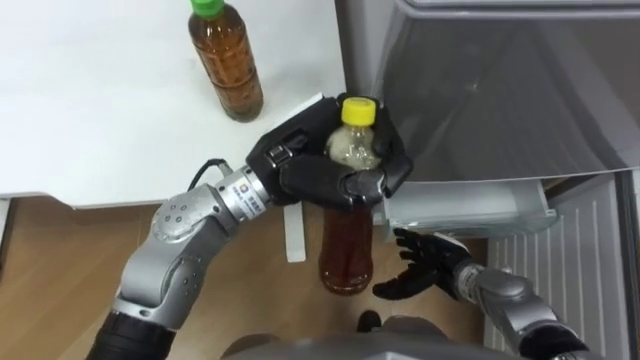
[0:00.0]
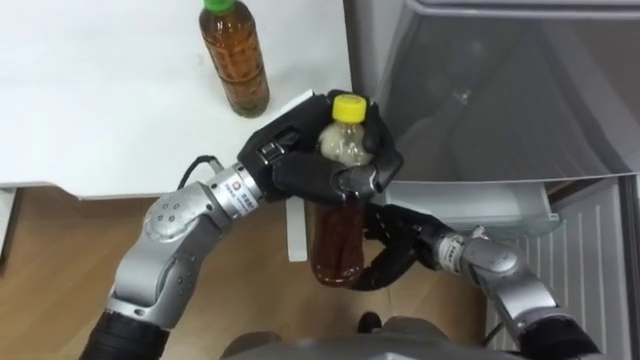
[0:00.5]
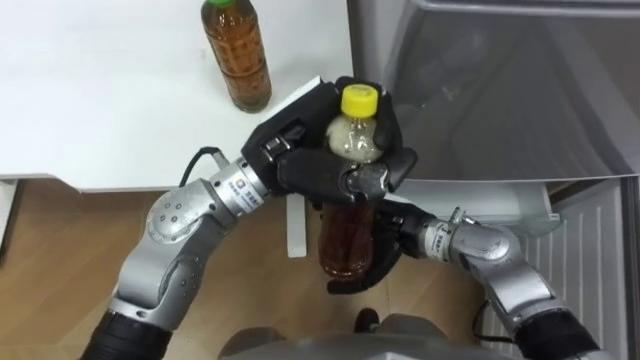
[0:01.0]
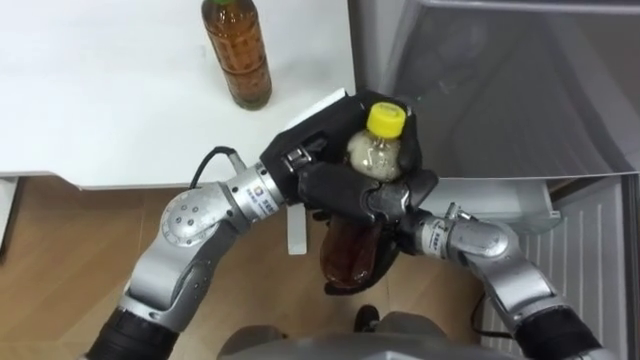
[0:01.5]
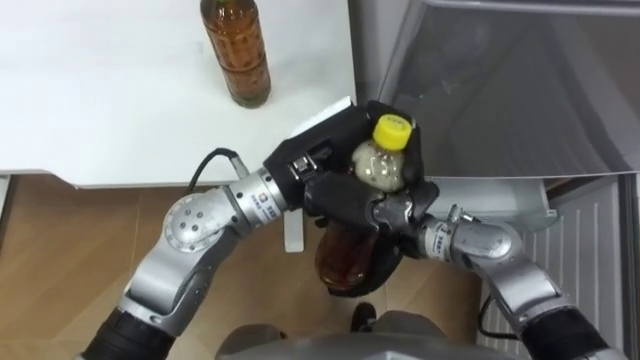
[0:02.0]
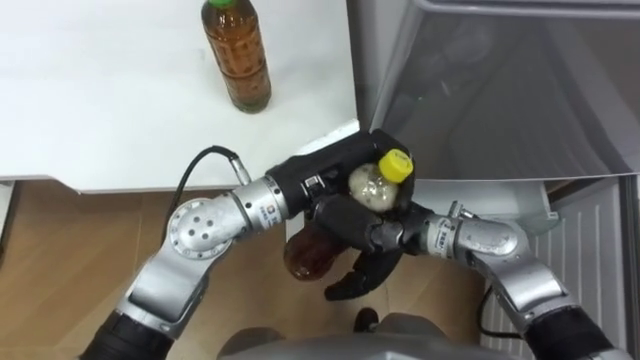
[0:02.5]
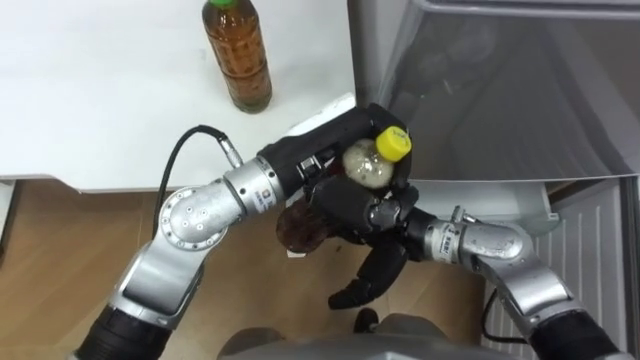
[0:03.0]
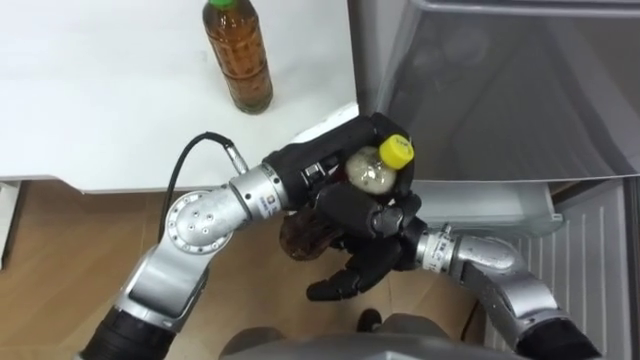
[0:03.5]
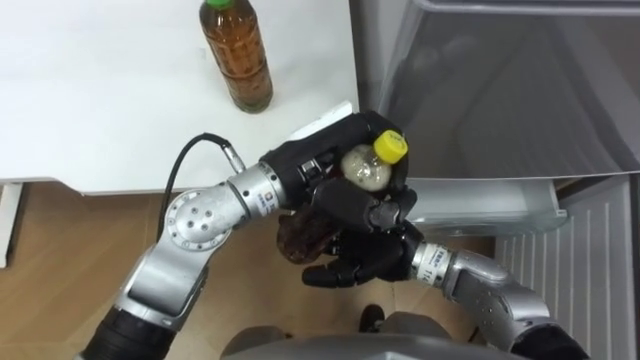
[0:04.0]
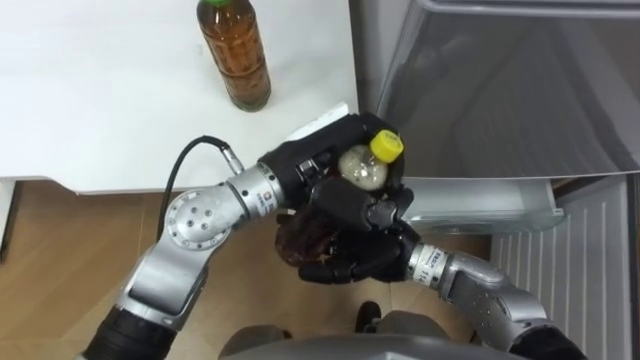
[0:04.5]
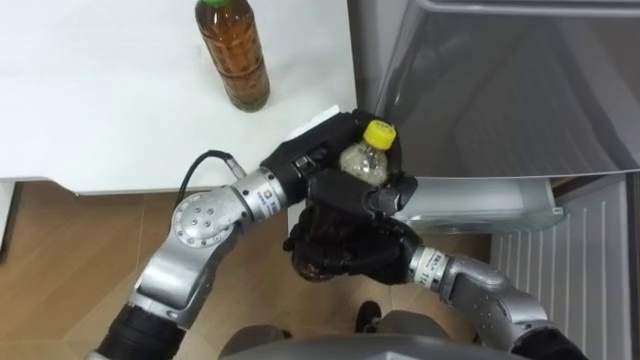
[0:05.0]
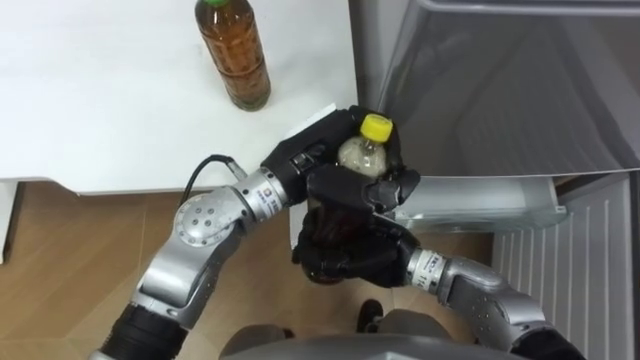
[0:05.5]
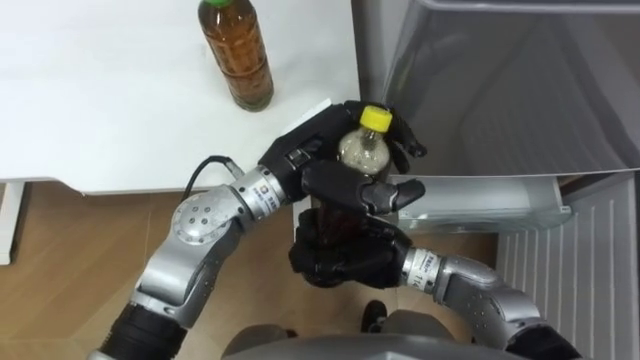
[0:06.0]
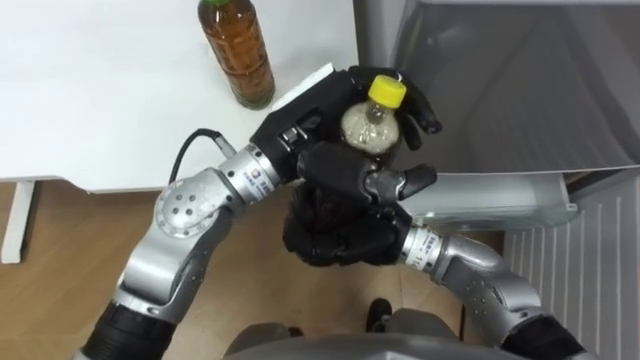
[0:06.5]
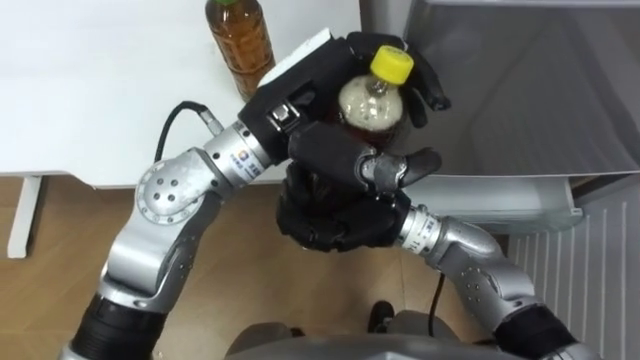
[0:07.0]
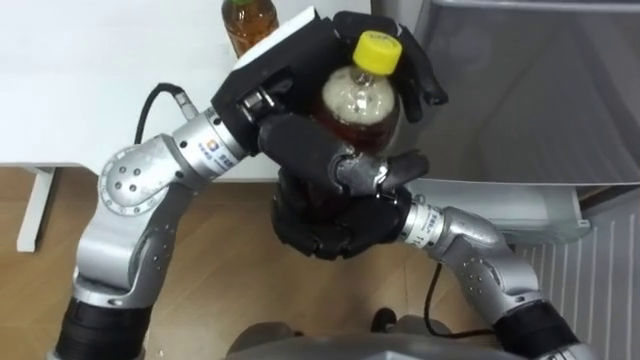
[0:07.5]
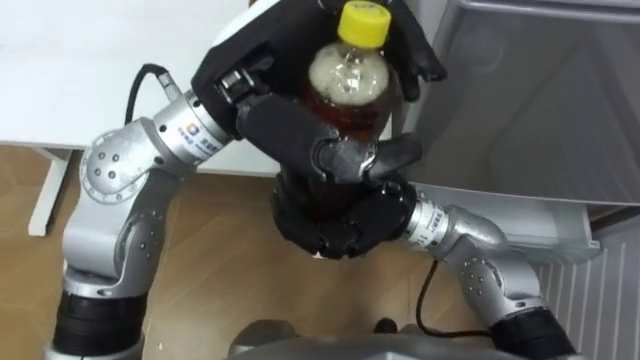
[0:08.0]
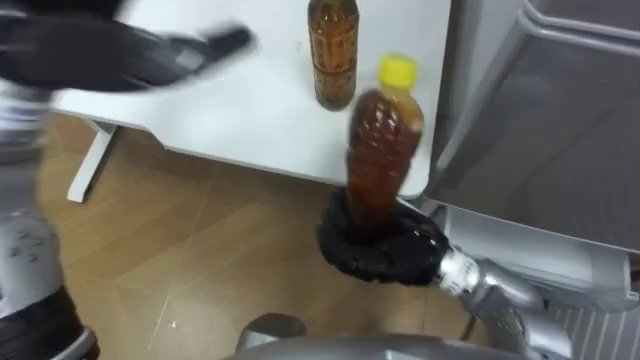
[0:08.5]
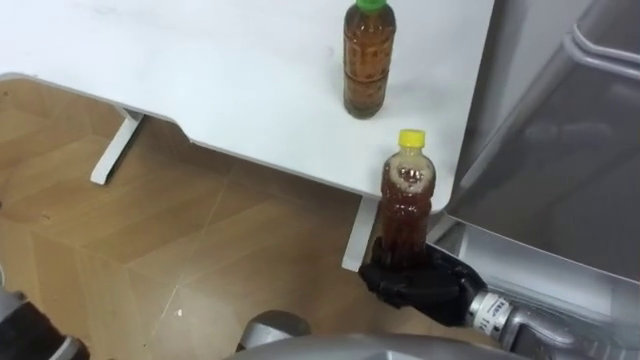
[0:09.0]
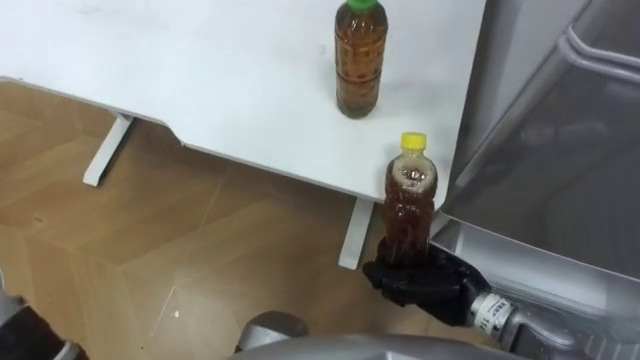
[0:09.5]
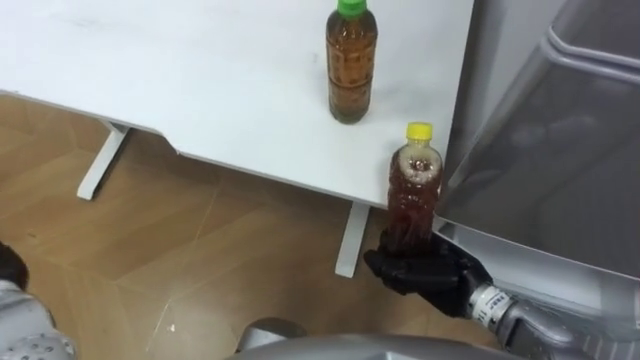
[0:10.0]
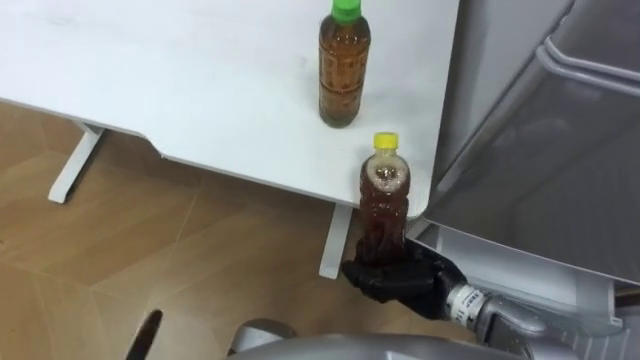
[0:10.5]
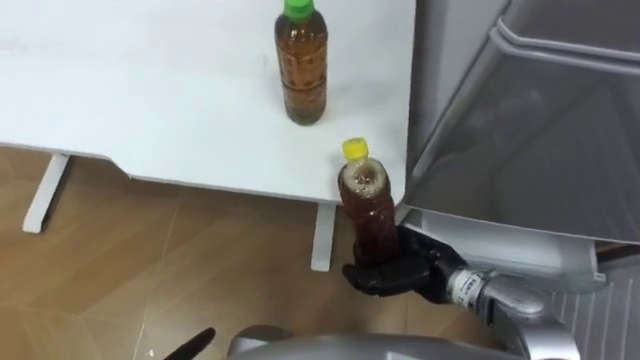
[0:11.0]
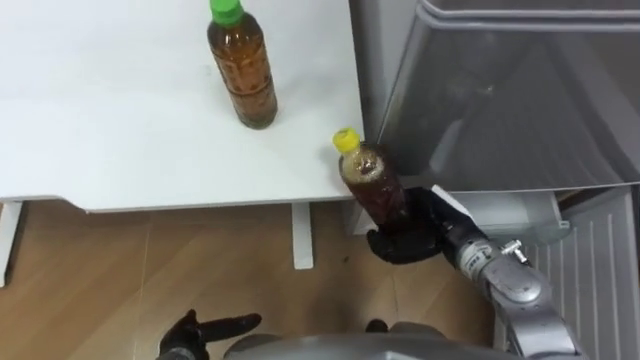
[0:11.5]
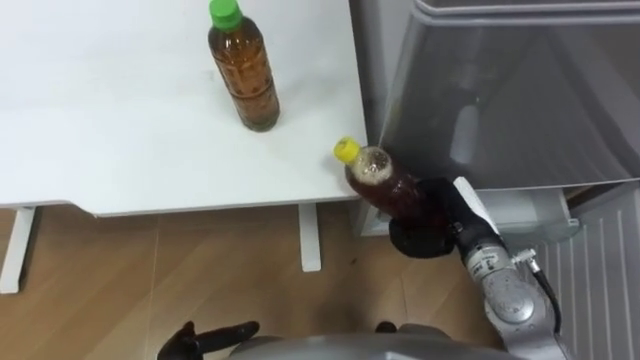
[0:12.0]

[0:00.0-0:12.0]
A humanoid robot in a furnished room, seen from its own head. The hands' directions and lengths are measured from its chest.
Task of the whole recording: Place the drink on the table on the bottom shelf of the refrigerator, then close the drawer and the refrigerator door.
0:00.0 to 0:02.0: The right hand moves upward and to the left, approximately 15 cm.
0:04.0 to 0:06.0: The right hand closes its fingers.
0:06.0 to 0:08.0: Both hands travel together upward, about 10 cm.
0:08.0 to 0:10.0: The right hand shifts about 20 cm downward and to the right.
0:10.0 to 0:12.0: The right hand goes some 5 cm forward.

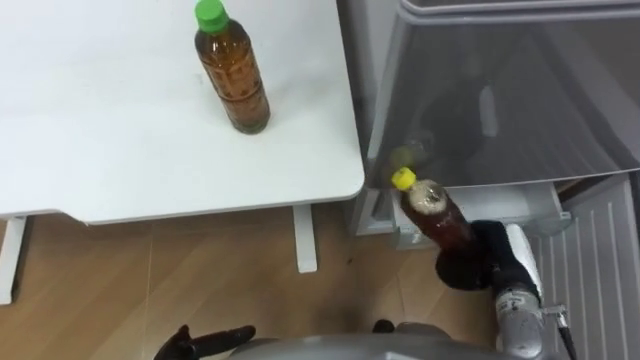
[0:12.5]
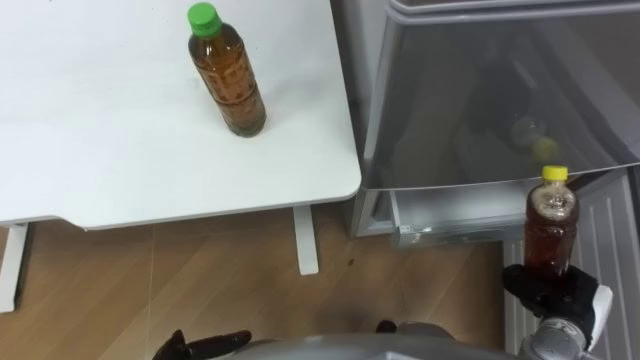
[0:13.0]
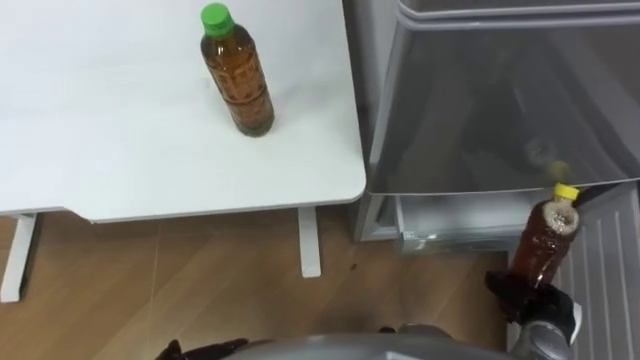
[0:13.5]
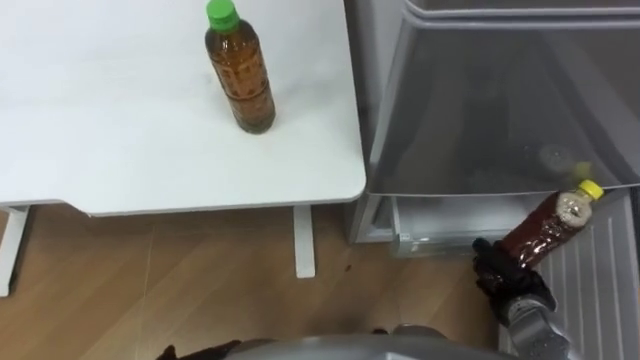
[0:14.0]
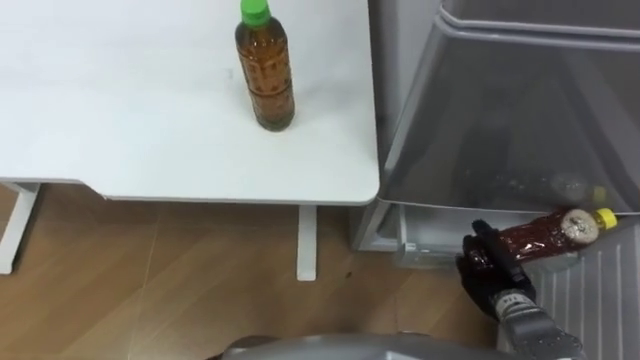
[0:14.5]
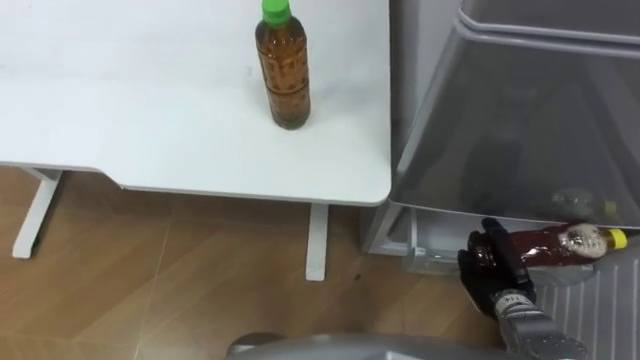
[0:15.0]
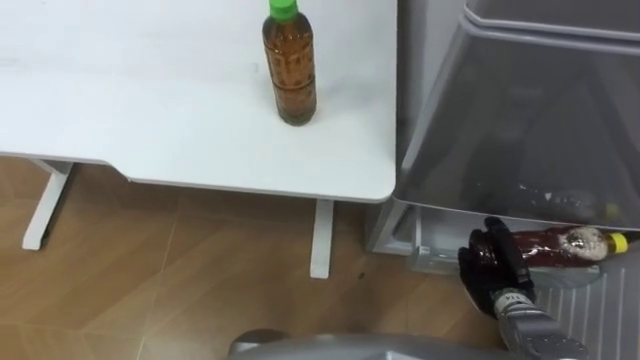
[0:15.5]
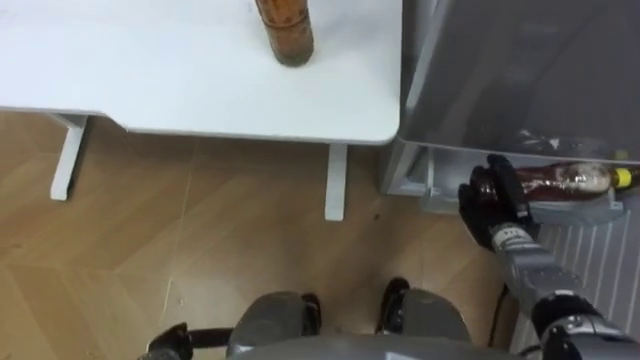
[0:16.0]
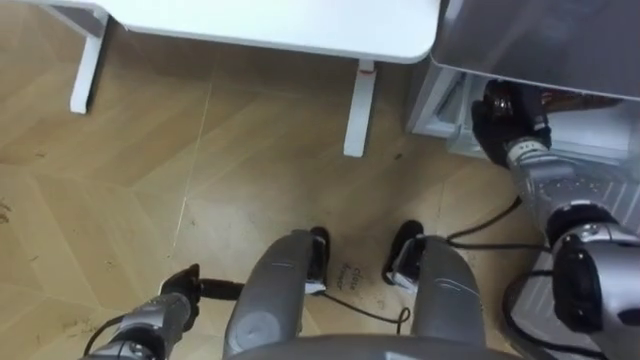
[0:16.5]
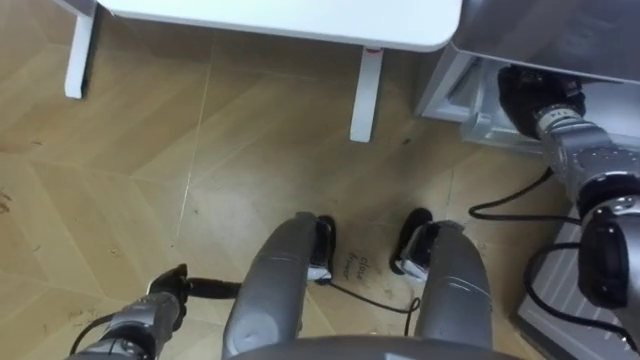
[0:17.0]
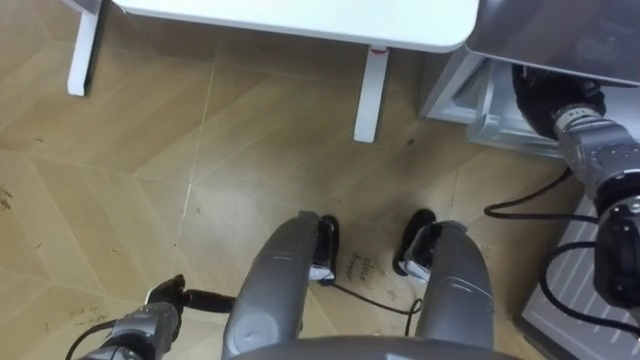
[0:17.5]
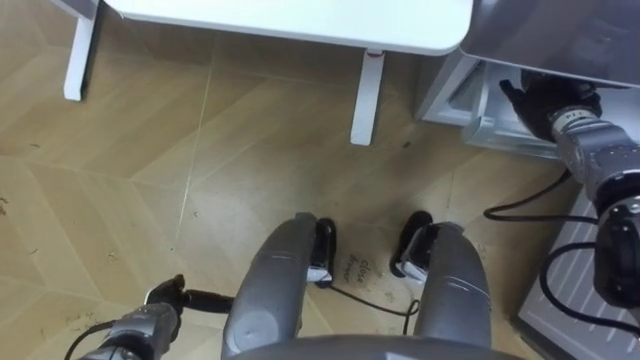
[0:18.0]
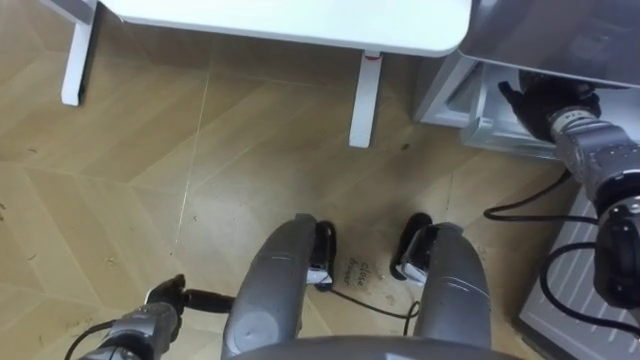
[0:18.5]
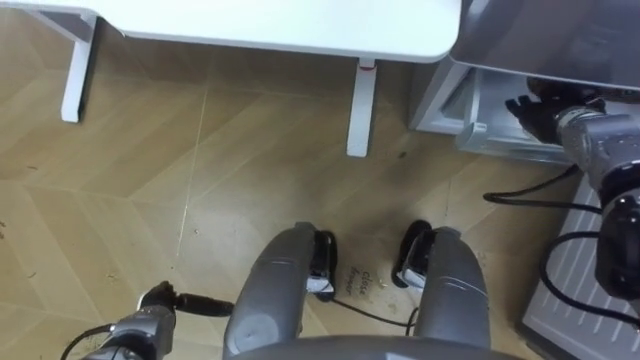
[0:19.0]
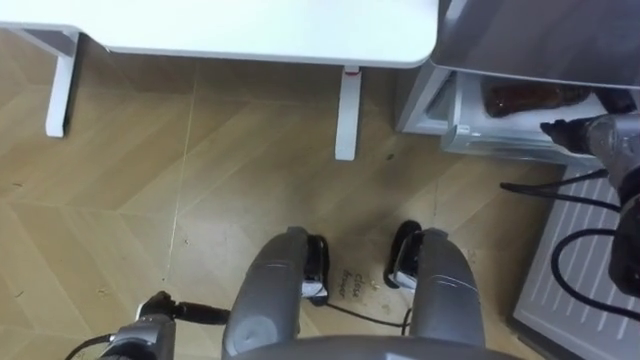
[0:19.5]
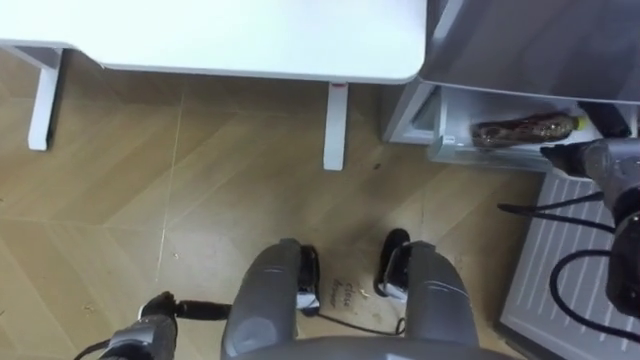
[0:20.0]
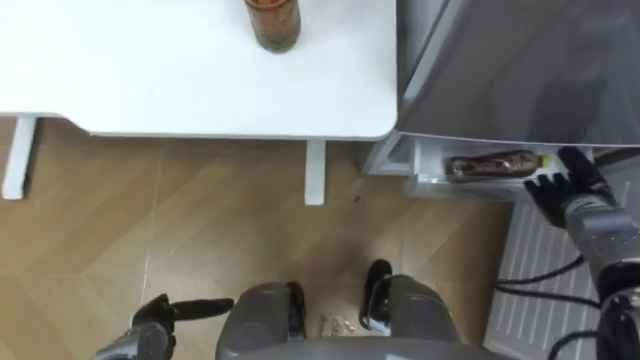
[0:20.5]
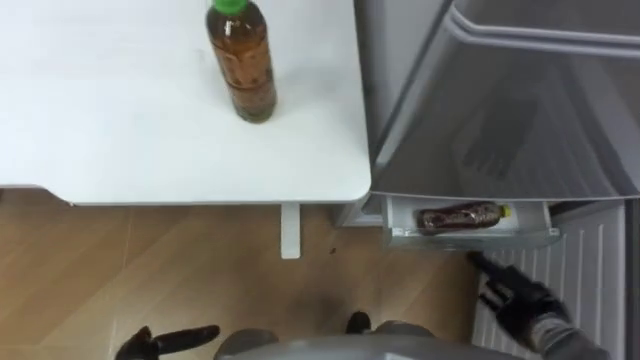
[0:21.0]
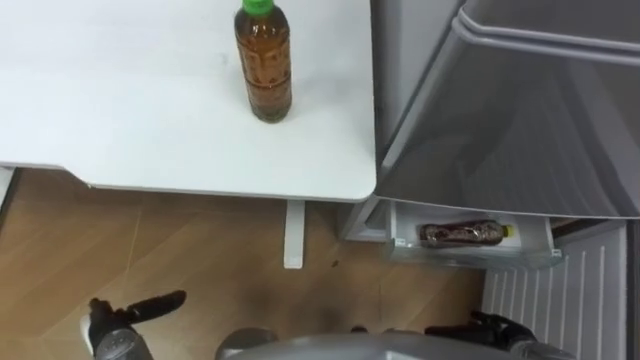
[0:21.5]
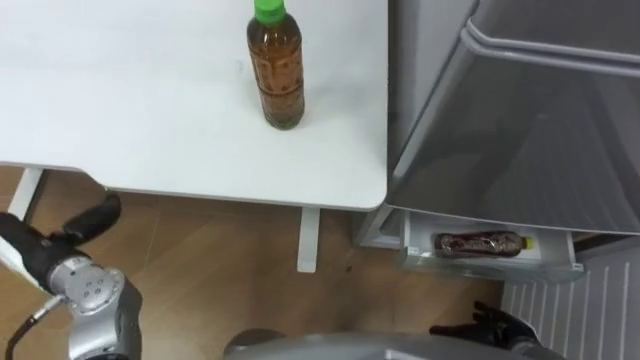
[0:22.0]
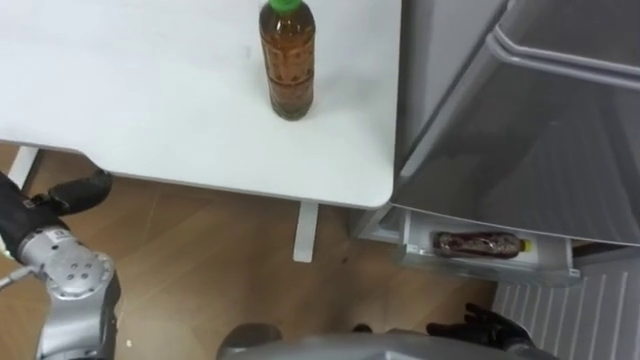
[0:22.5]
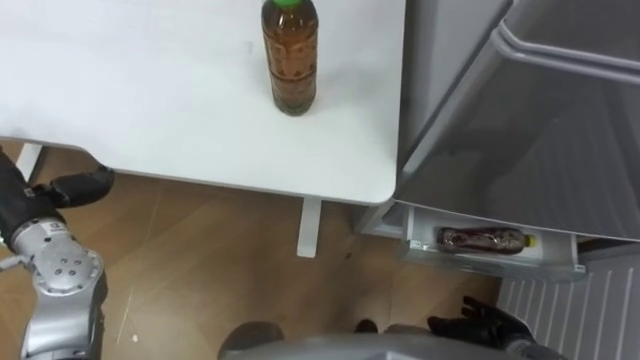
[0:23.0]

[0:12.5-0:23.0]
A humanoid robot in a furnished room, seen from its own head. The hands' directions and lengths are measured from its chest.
Task of the whole recording: Place the drink on the table on the bottom shelf of the refrigerator, then close the drawer and the refrigerator door.
0:12.5 to 0:14.5: The right hand heads downward, covering approximately 5 cm, and reaches about 10 cm to the right, then returns.
0:14.5 to 0:16.5: The right hand travels forward and upward by some 25 cm.
0:16.5 to 0:19.0: The right hand travels to the right by roughly 5 cm, and opens its fingers.
0:19.0 to 0:21.0: The right hand moves backward and downward, some 30 cm.
0:21.0 to 0:23.0: The right hand heads backward and to the left, covering about 5 cm.
